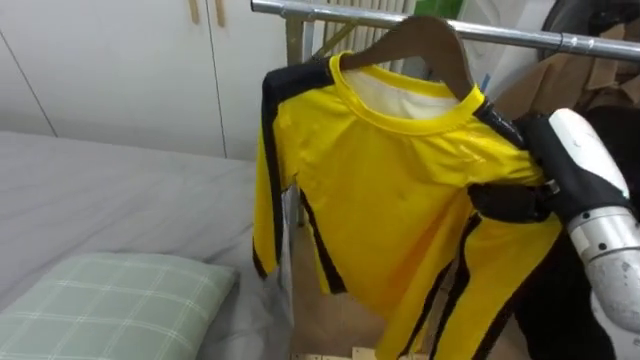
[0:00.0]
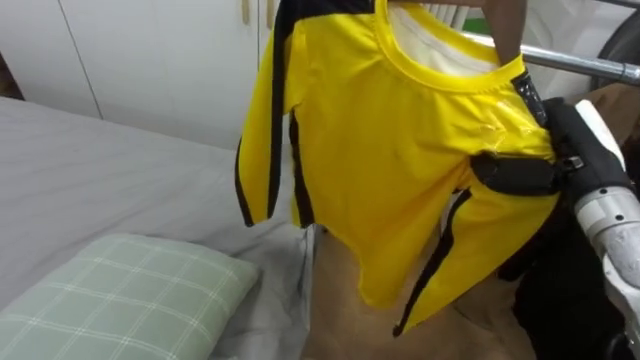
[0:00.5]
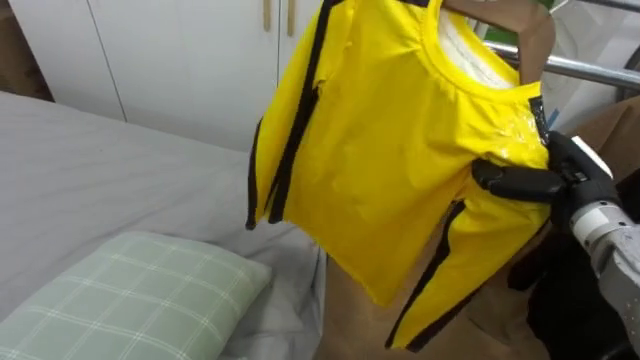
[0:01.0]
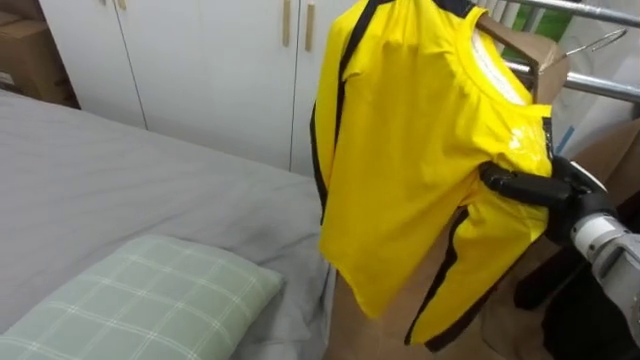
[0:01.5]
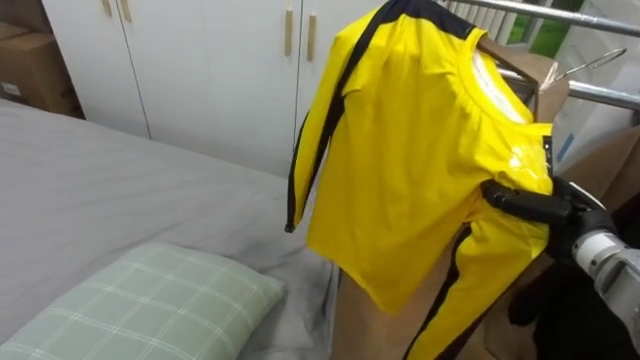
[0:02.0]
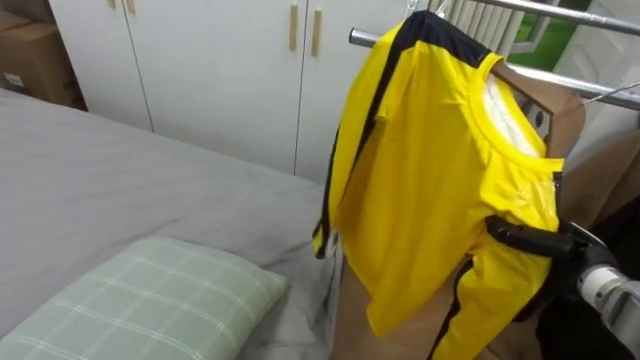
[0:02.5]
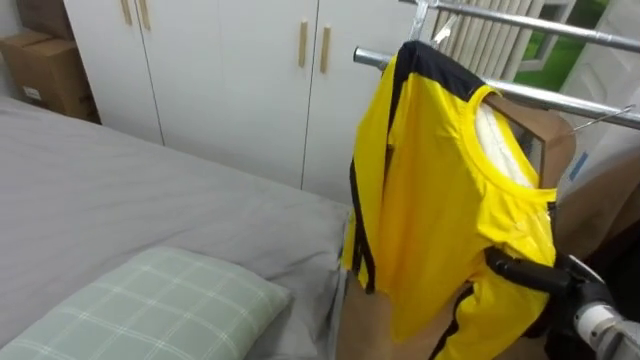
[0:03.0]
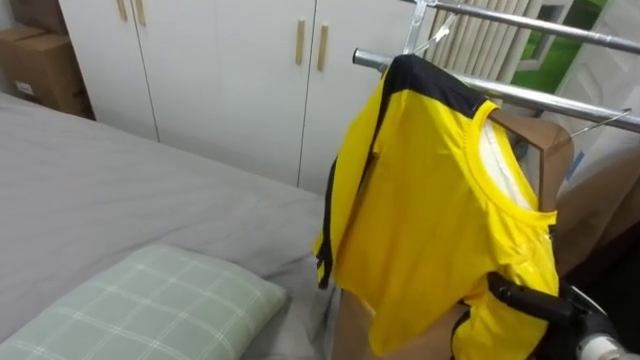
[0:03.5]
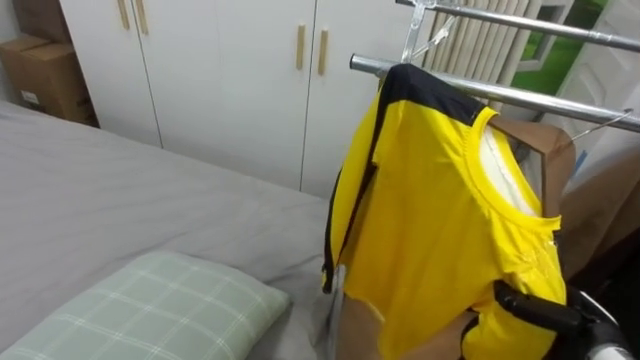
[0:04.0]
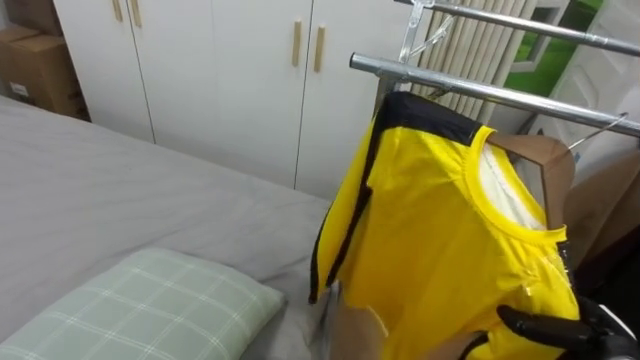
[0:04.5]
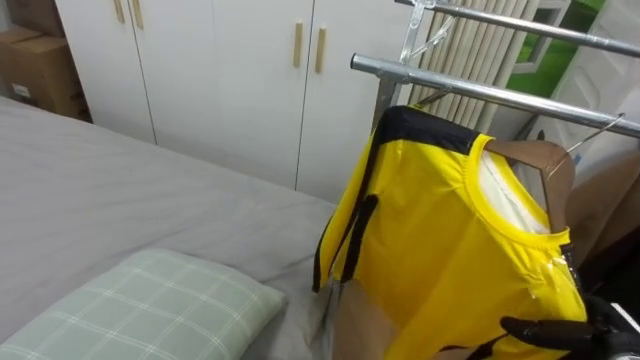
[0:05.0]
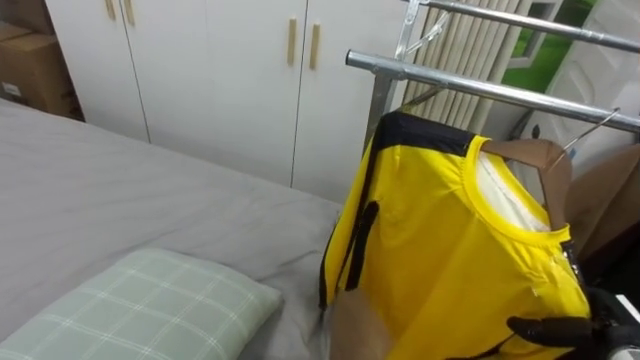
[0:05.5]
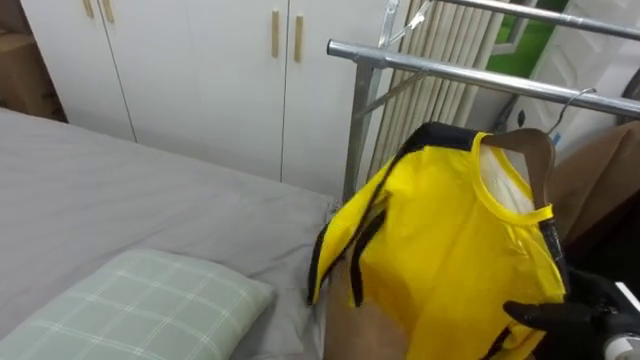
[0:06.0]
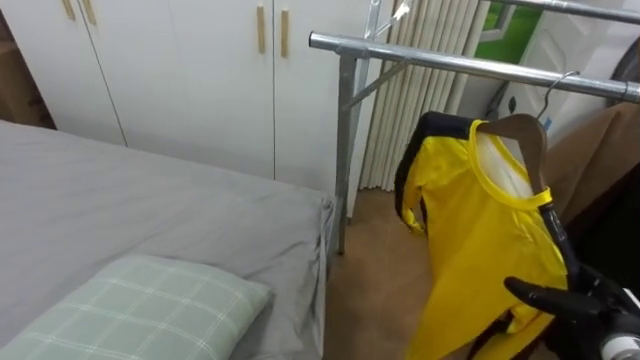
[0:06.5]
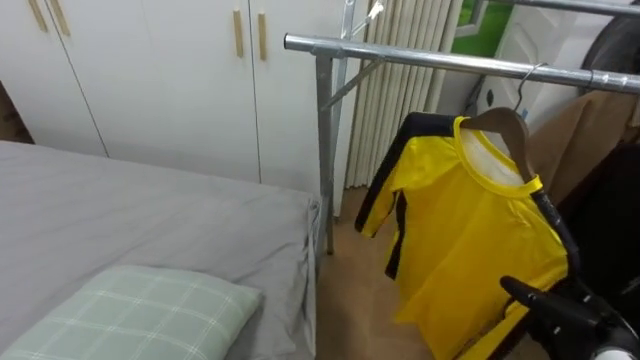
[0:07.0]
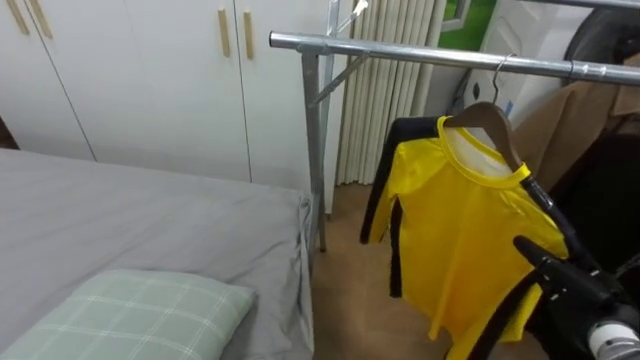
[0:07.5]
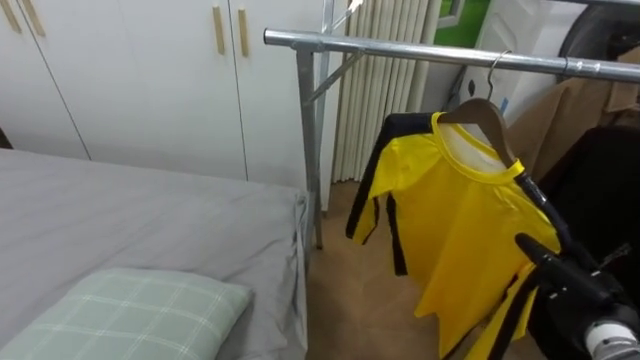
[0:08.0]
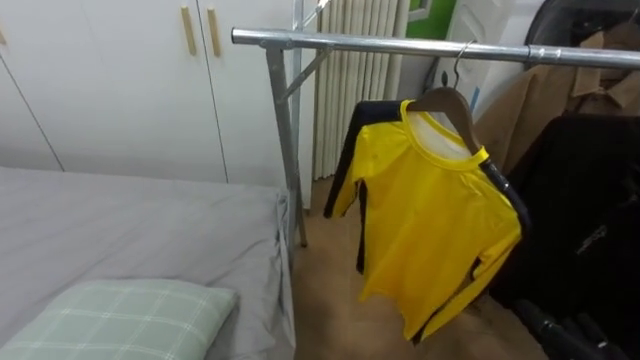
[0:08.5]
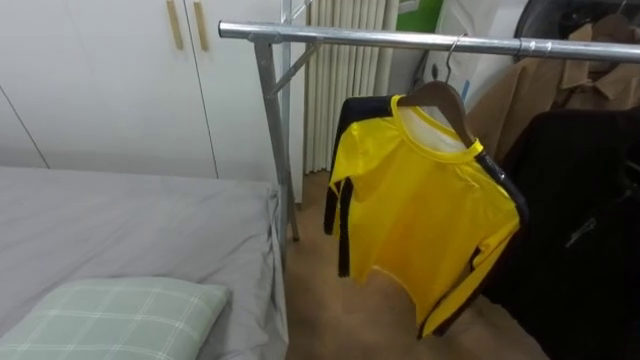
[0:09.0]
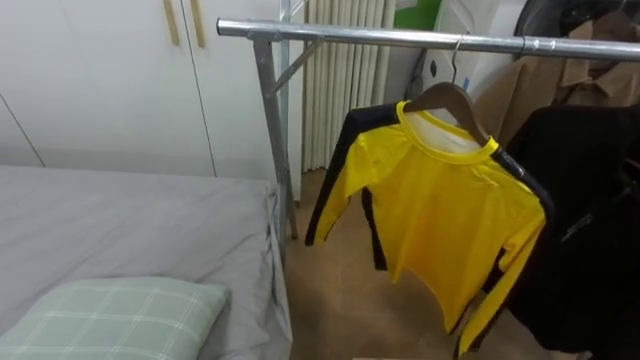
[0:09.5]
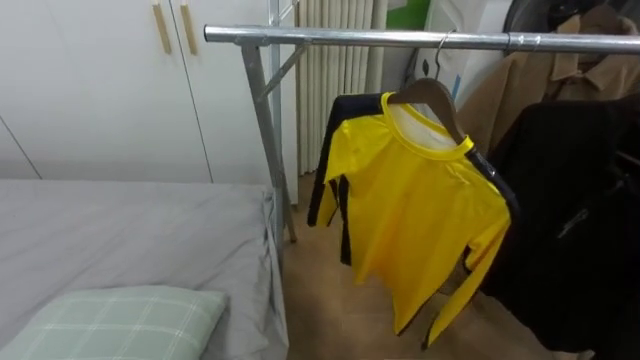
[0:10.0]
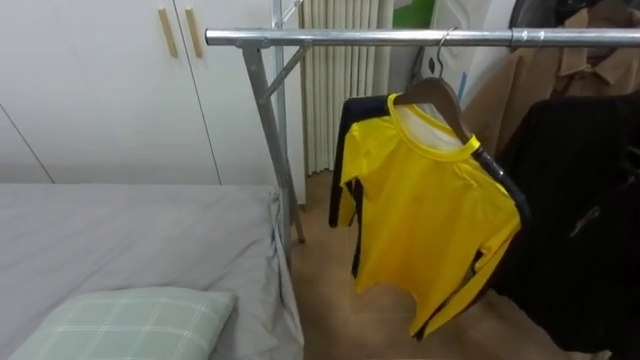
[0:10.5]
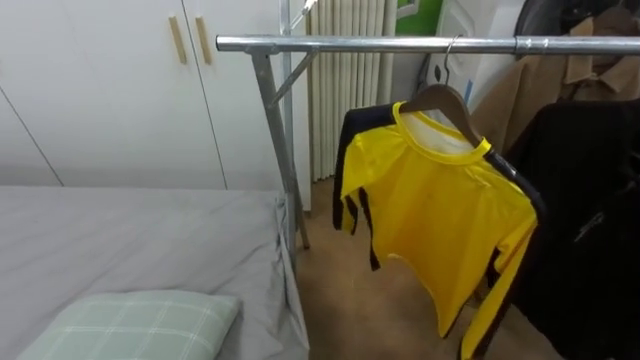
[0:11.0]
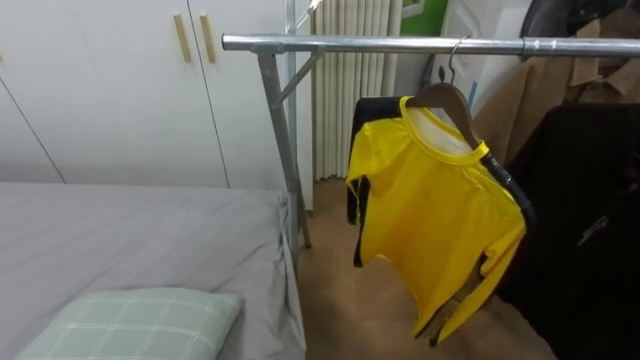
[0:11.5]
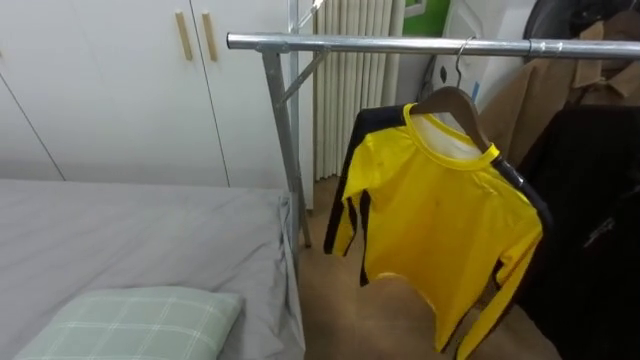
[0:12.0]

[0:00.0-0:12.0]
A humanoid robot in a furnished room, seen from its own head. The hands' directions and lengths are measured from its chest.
Task of the whole recording: Pick up the yellow shirt on the bed and hang it on the clothes rack on the right.
0:00.0 to 0:02.0: The right hand is displaced downward by about 10 cm.
0:02.0 to 0:04.0: The right hand moves downward and backward, some 15 cm.
0:04.0 to 0:06.0: The right hand opens.

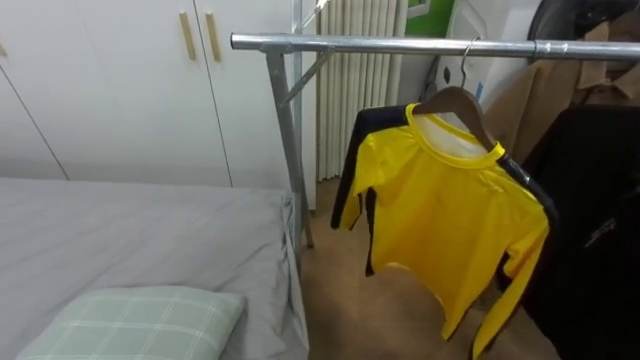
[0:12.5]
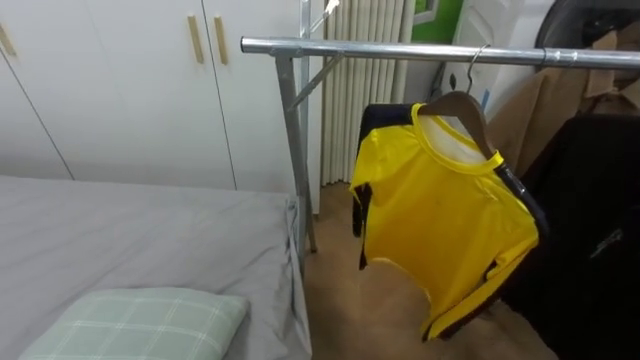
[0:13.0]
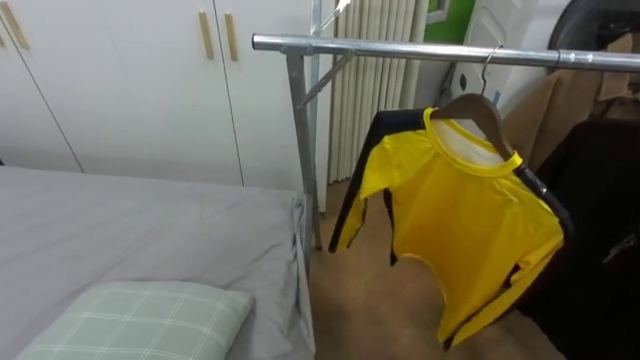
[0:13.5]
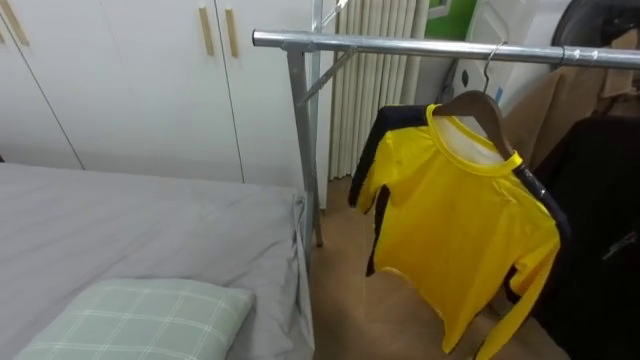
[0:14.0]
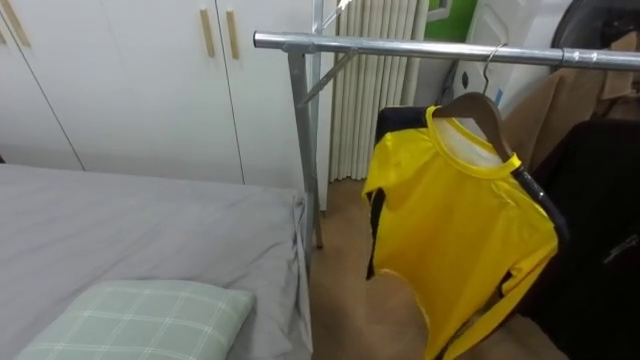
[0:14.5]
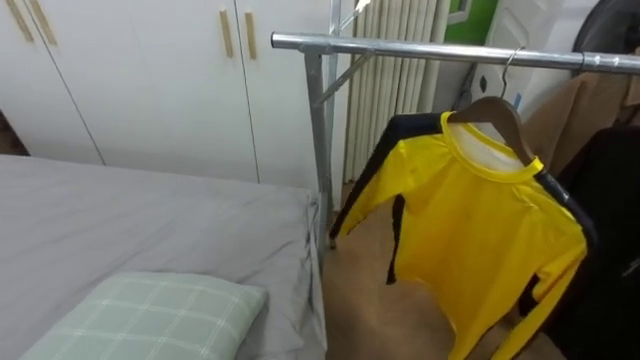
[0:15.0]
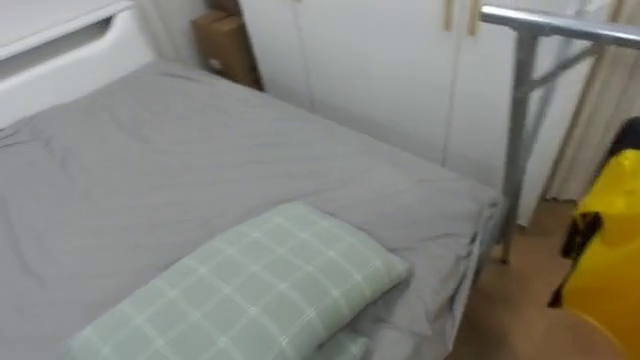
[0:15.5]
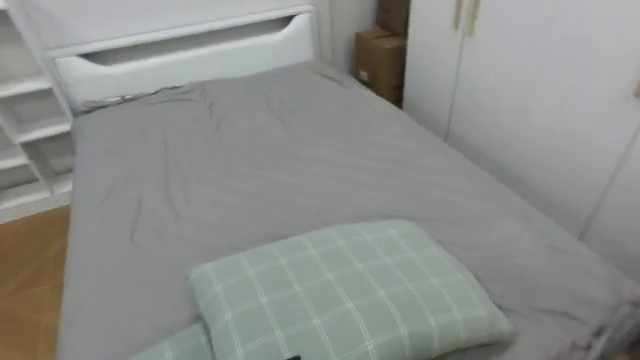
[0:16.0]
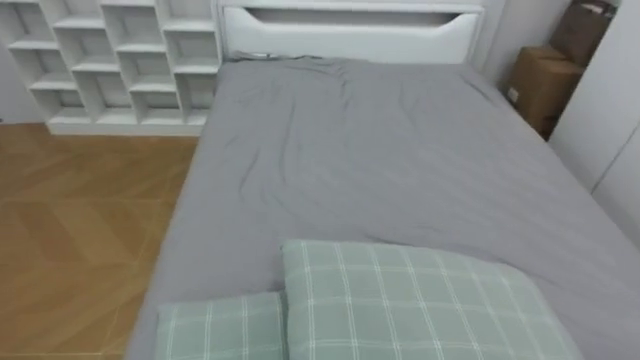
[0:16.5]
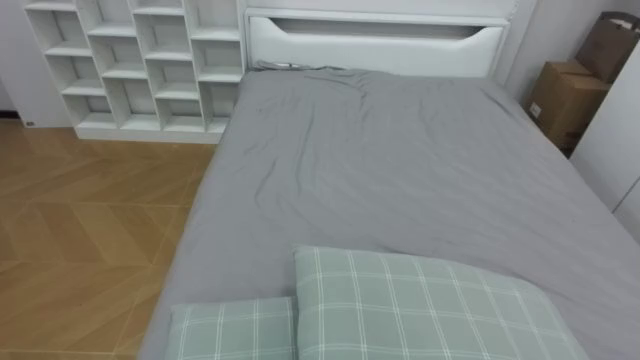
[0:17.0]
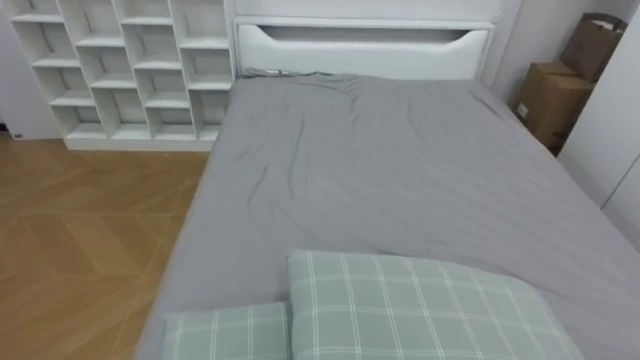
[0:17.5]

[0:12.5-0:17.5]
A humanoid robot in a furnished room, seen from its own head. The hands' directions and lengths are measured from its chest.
Task of the whole recording: Pick up the yellow shirt on the bed and hang it on the clothes rack on the right.
0:15.0 to 0:17.5: The robot's body swings roughly 80 degrees to its left.

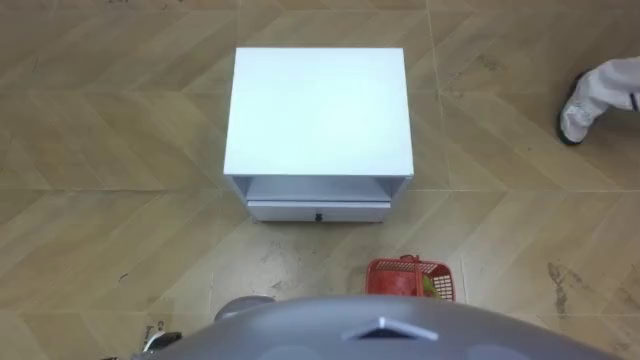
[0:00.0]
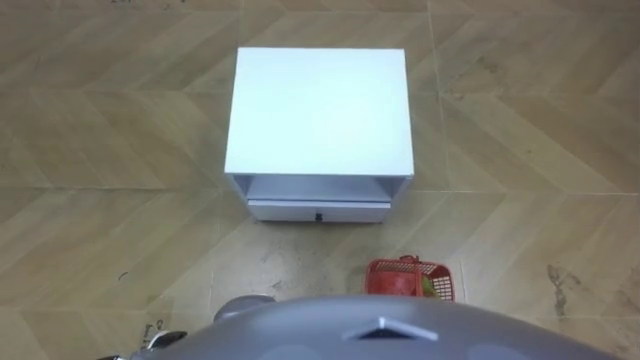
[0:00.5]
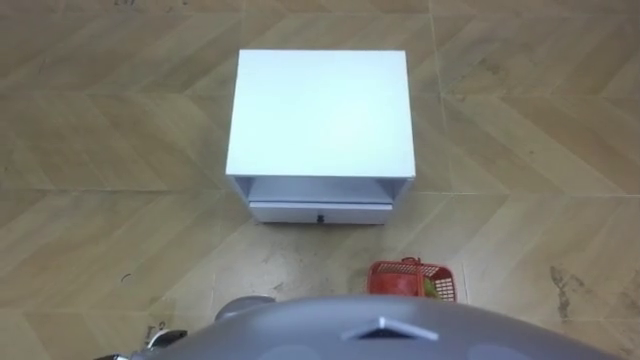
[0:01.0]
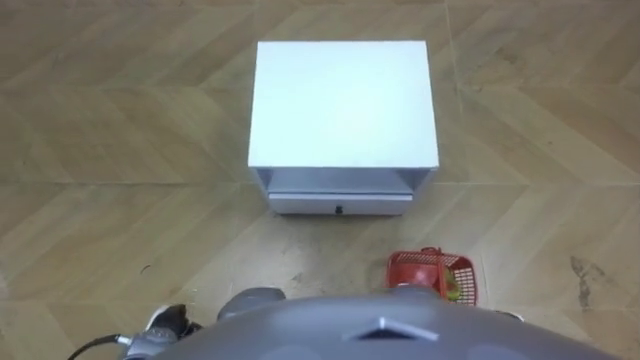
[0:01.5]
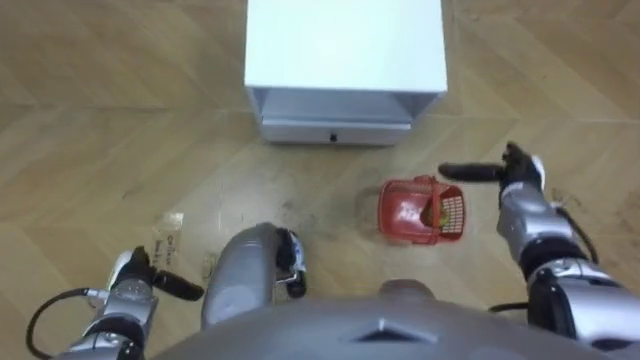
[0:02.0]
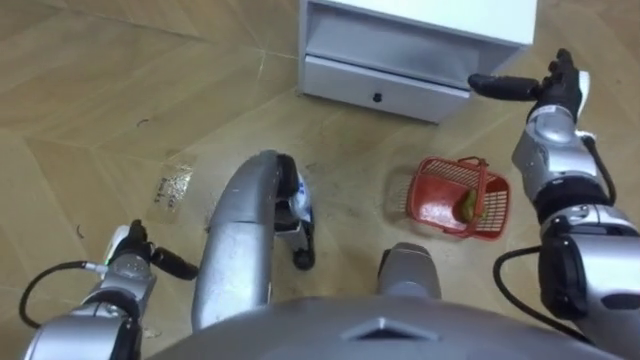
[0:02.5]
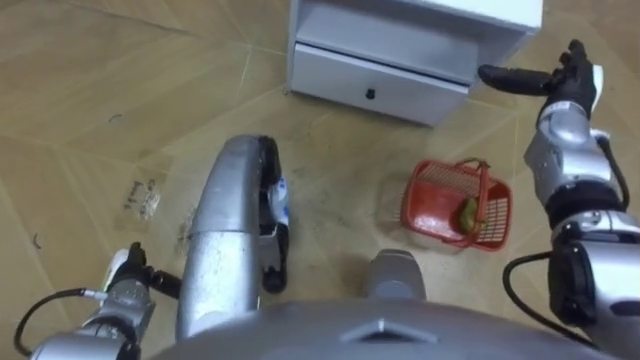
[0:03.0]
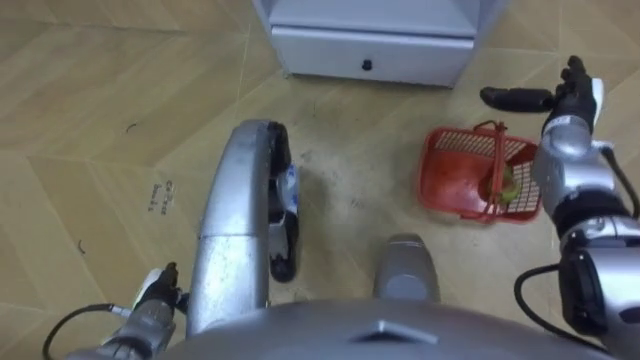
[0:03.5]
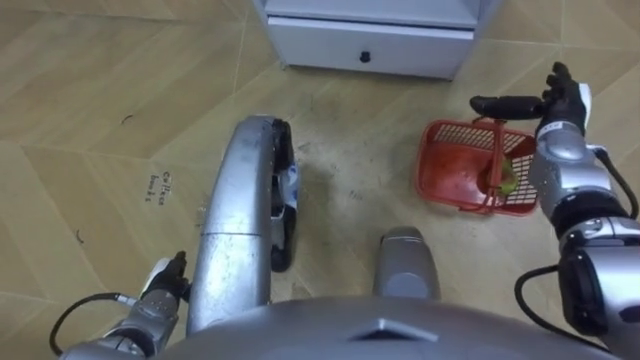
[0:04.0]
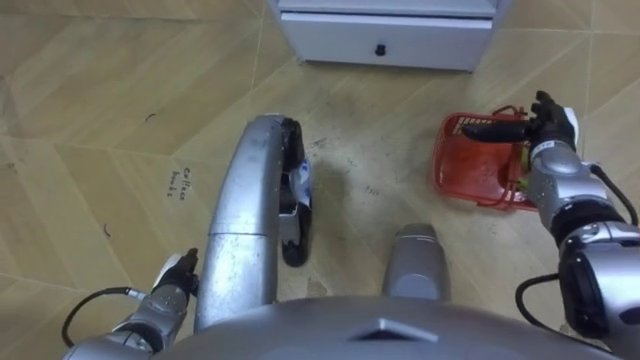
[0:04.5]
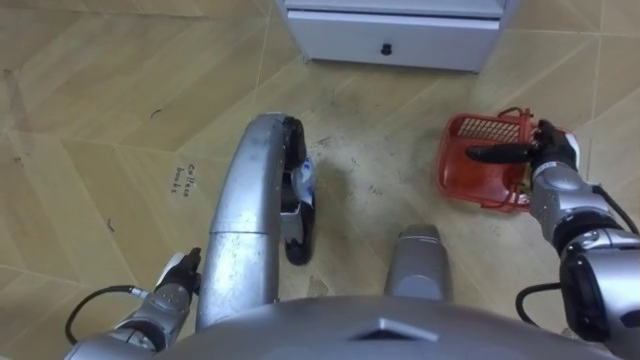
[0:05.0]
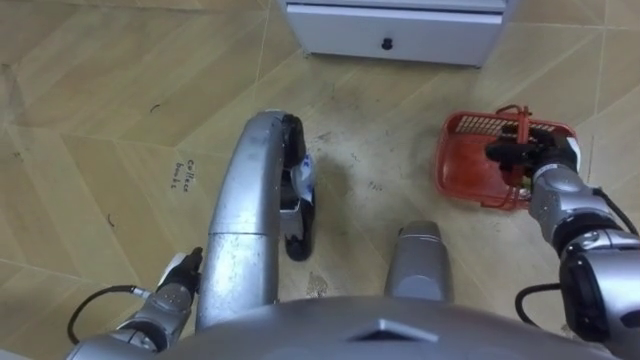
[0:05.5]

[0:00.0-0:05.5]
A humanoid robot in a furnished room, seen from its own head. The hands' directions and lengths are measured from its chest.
Task of the whole recording: Pick up the fruit basket from the floor and place it on the cabinet.
0:02.0 to 0:03.5: The right hand shifts some 10 cm forward and upward.
0:03.5 to 0:05.5: The right hand heads downward and backward, covering approximately 10 cm, and closes.
